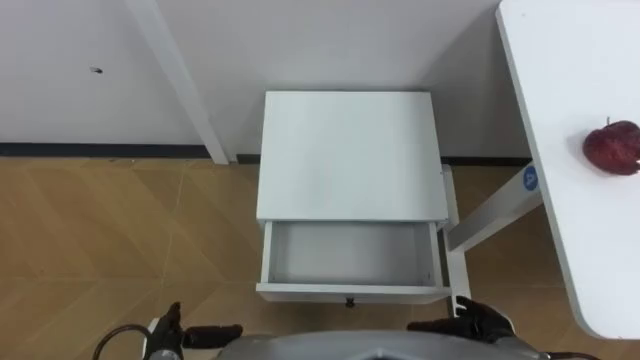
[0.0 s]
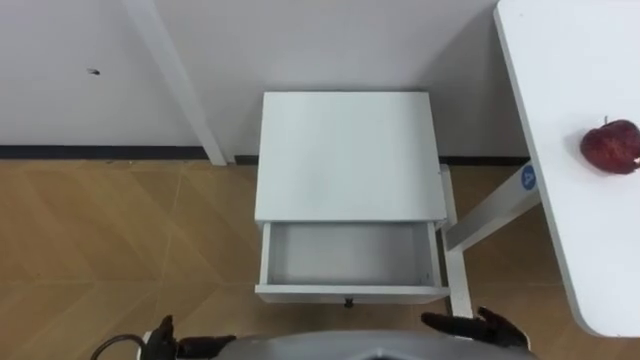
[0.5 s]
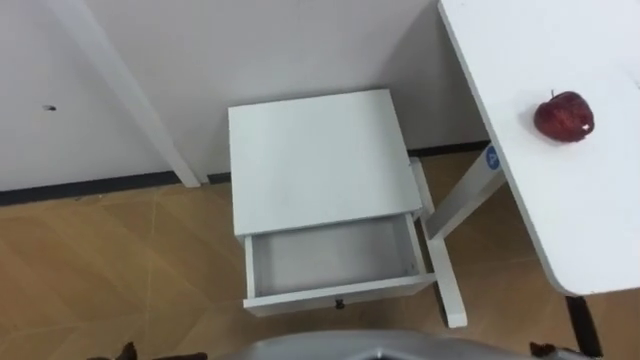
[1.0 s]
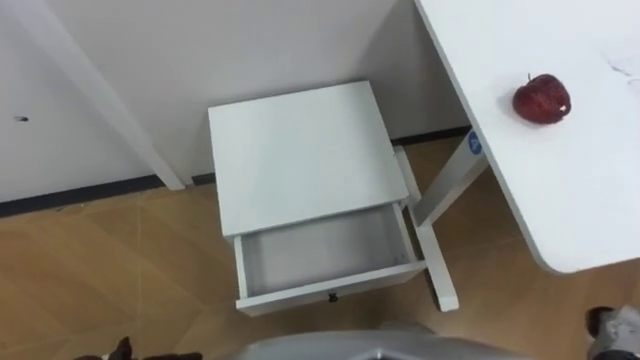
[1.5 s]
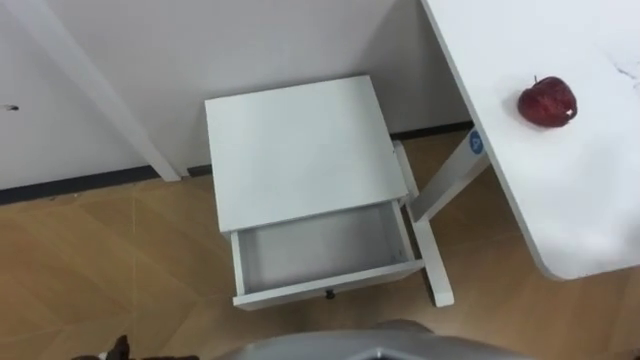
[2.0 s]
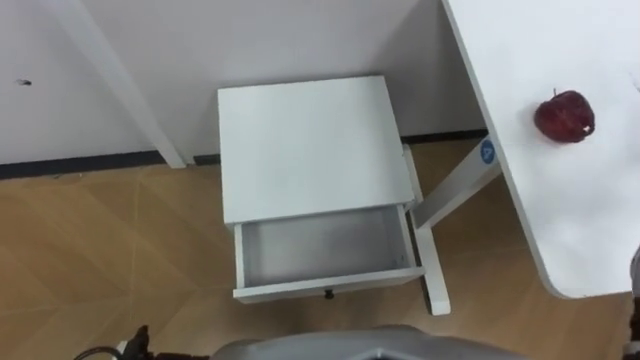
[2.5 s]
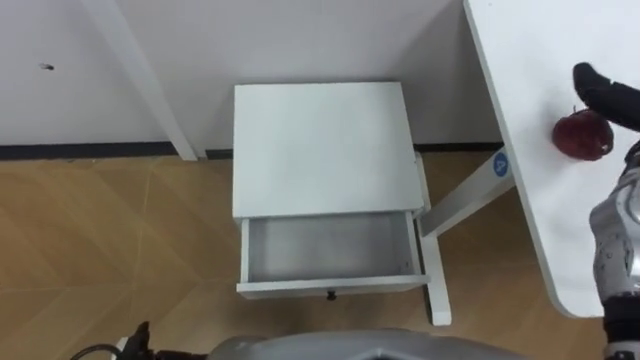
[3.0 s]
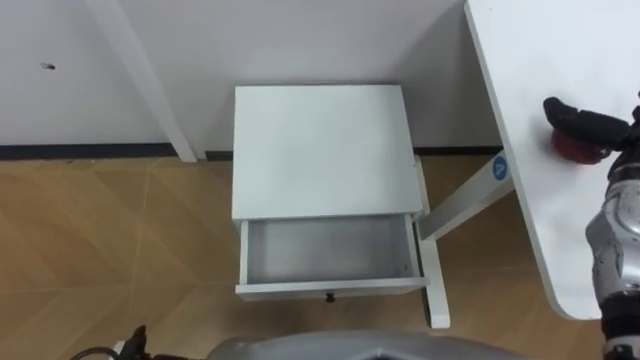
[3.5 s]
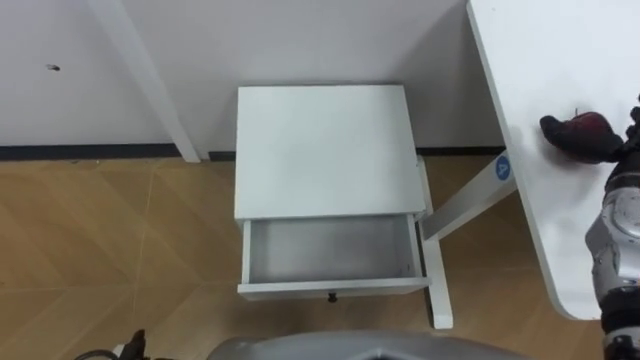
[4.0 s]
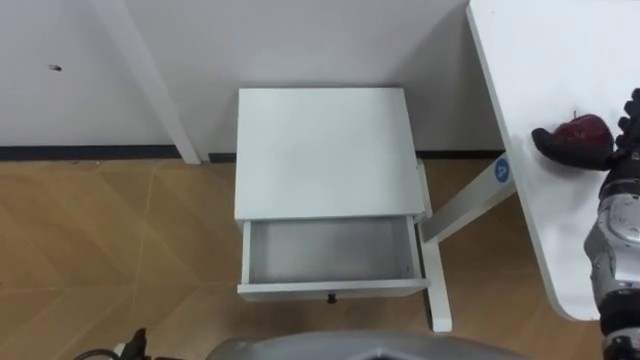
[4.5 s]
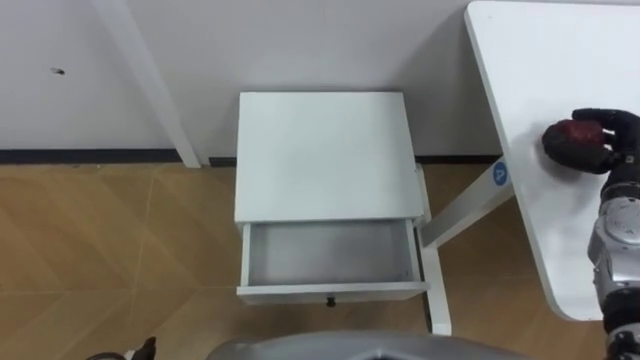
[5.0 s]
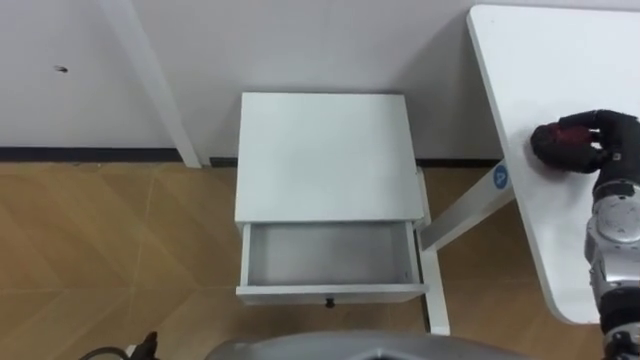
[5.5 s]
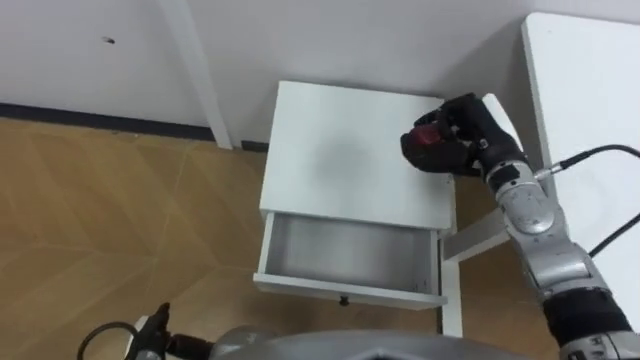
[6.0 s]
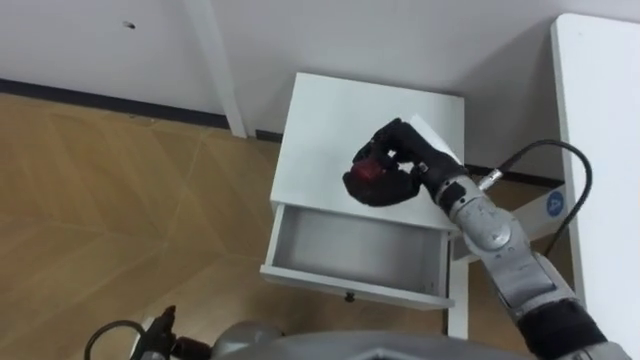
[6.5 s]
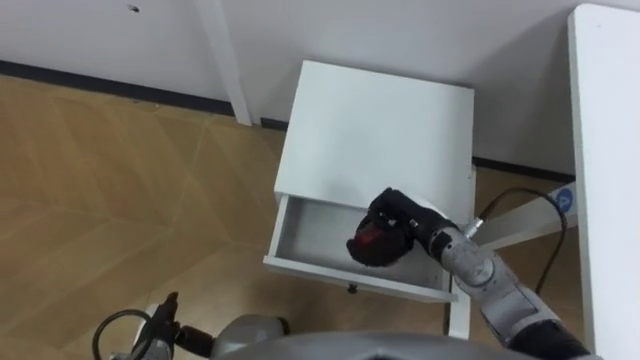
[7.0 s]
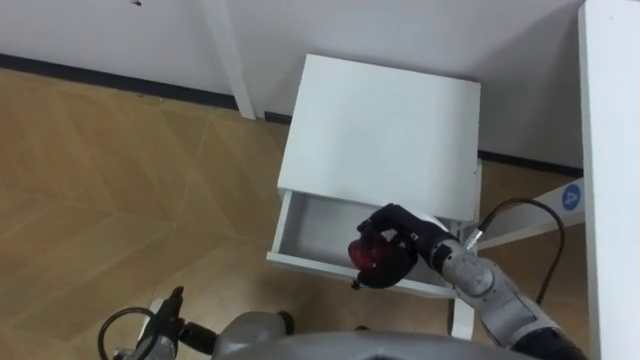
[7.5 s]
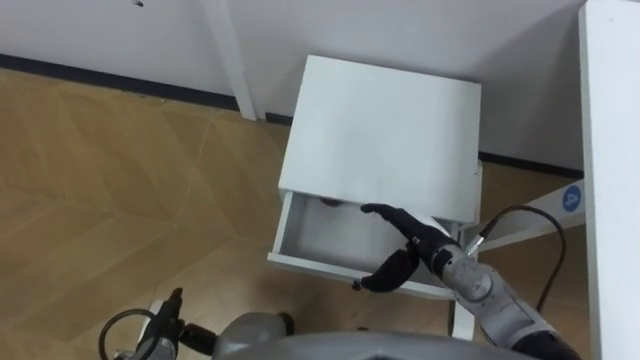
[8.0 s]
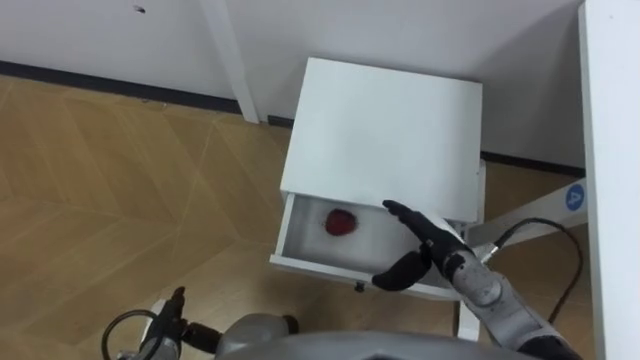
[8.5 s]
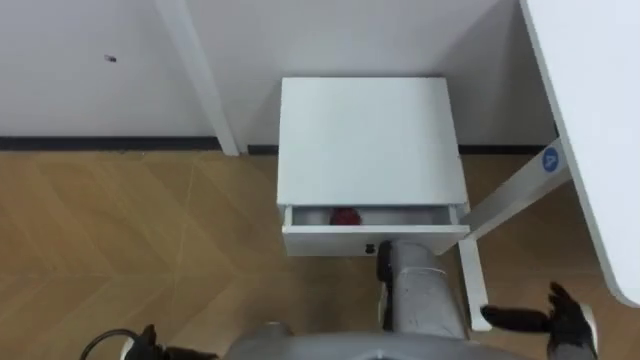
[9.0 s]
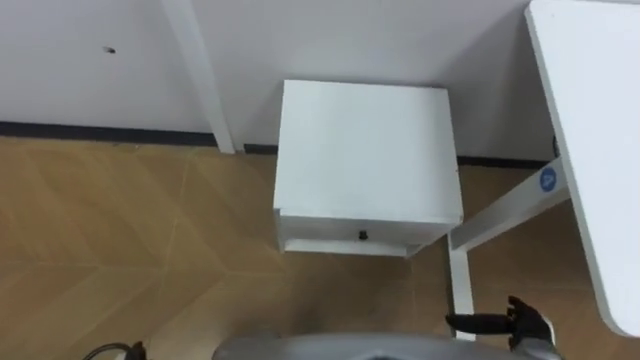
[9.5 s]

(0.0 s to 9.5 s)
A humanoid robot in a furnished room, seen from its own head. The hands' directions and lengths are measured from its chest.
Task of the whole recording: Pick up the apple from the table, put it in the drawer, and close the drawer with leg.
4.0 s - 5.5 s: The right hand closes up.
5.5 s - 7.5 s: The right hand shifts roughly 25 cm to the left.
7.5 s - 9.5 s: The right hand heads to the right, backward and downward, covering about 25 cm, and opens.

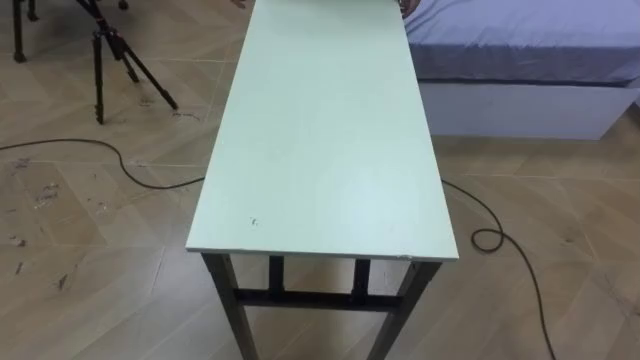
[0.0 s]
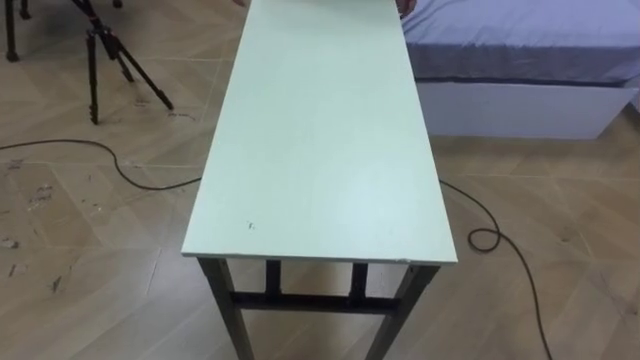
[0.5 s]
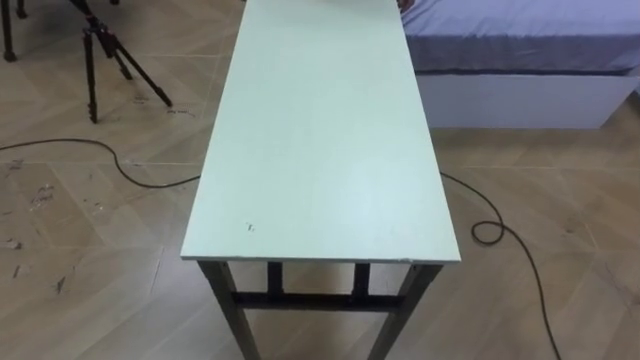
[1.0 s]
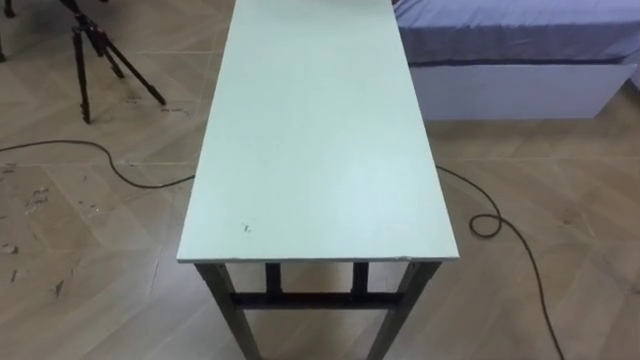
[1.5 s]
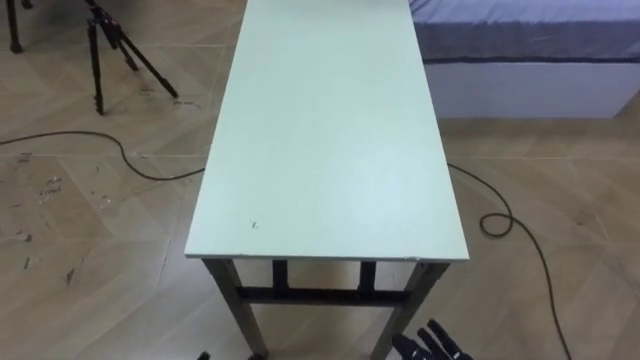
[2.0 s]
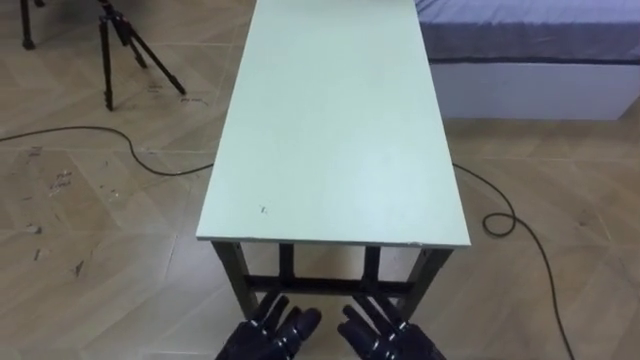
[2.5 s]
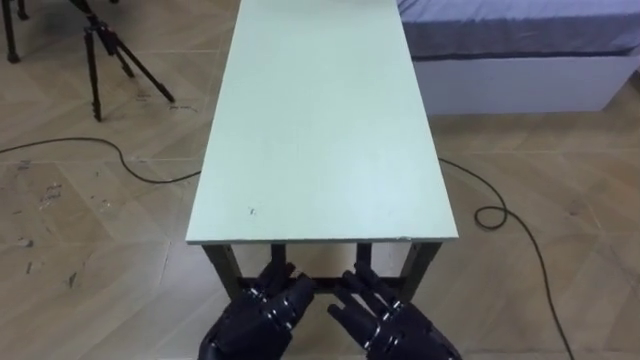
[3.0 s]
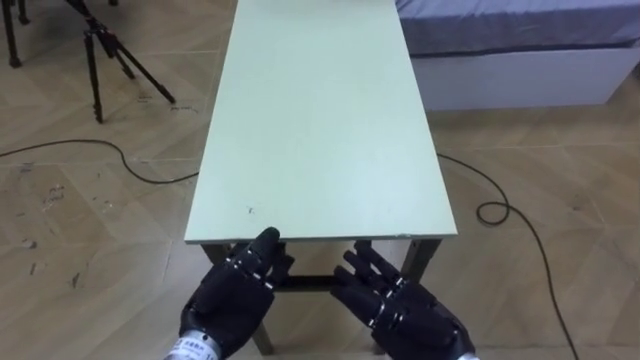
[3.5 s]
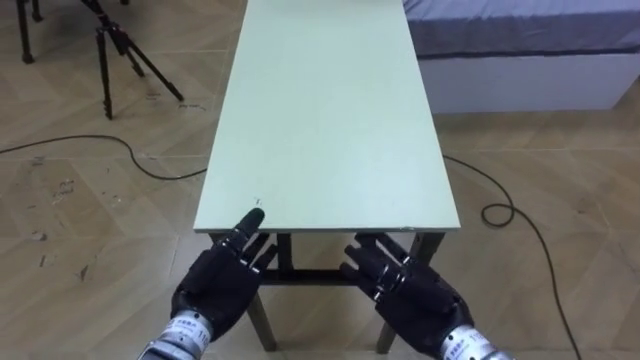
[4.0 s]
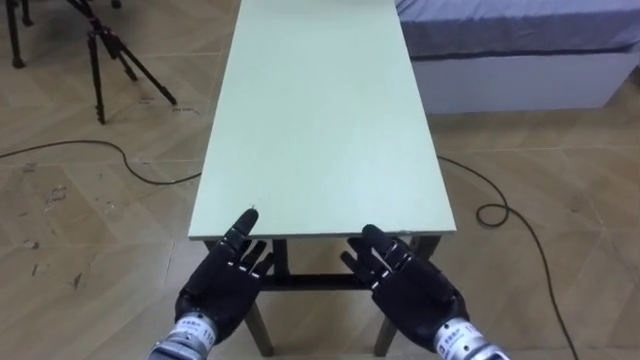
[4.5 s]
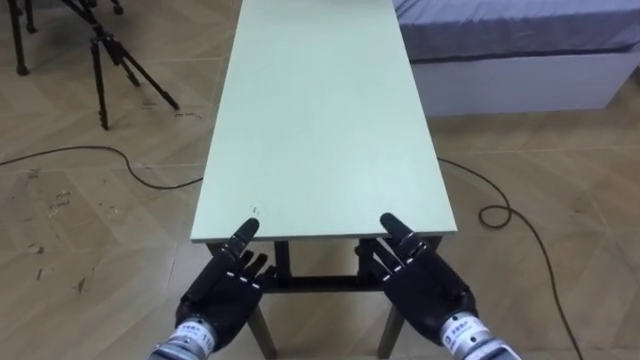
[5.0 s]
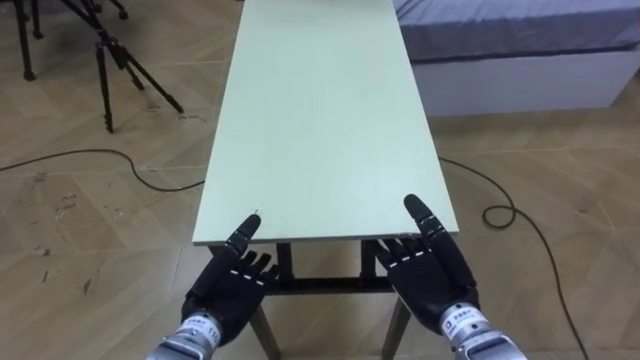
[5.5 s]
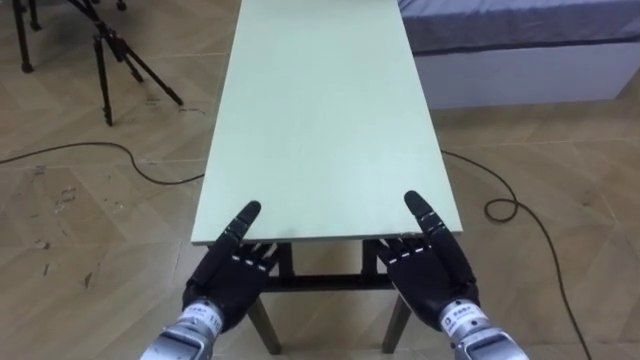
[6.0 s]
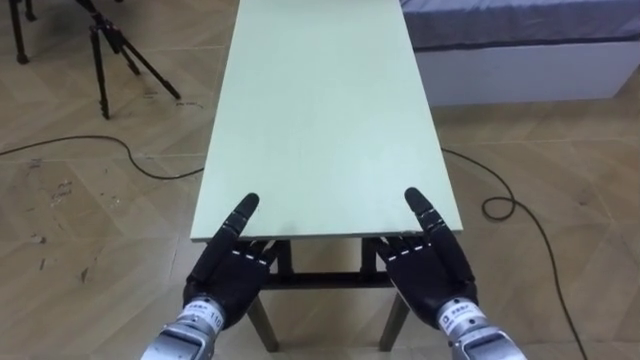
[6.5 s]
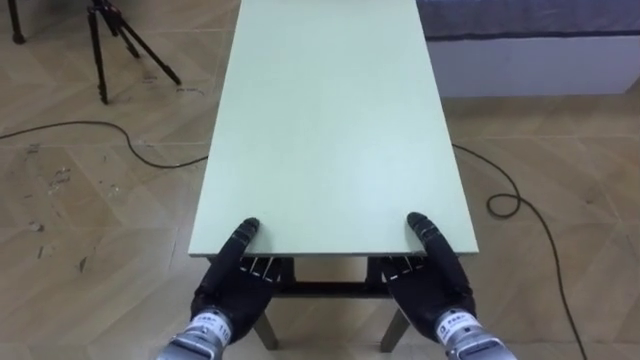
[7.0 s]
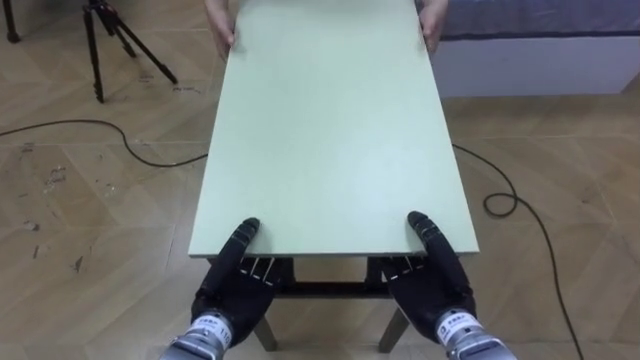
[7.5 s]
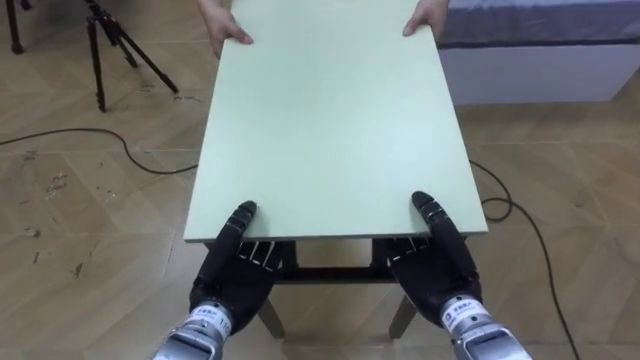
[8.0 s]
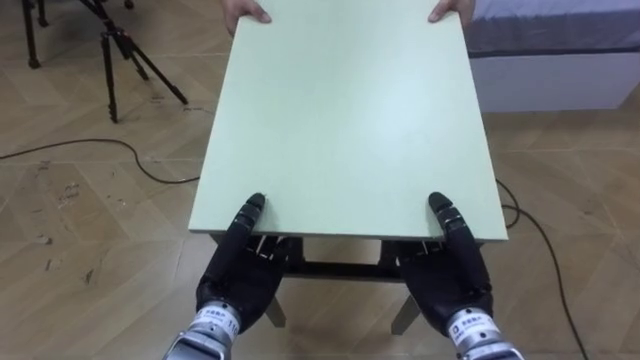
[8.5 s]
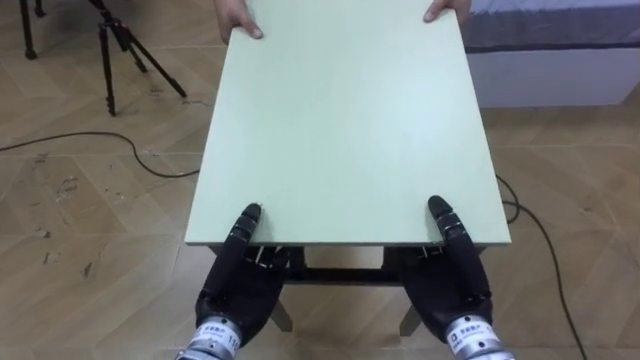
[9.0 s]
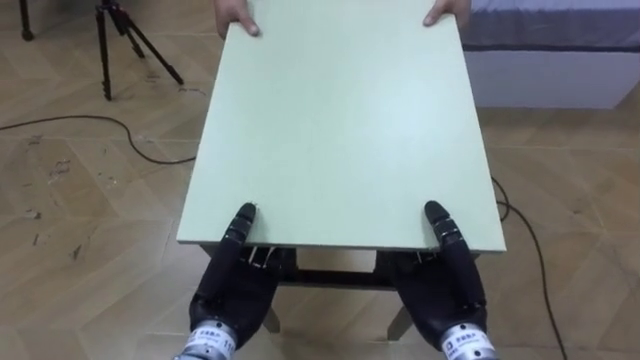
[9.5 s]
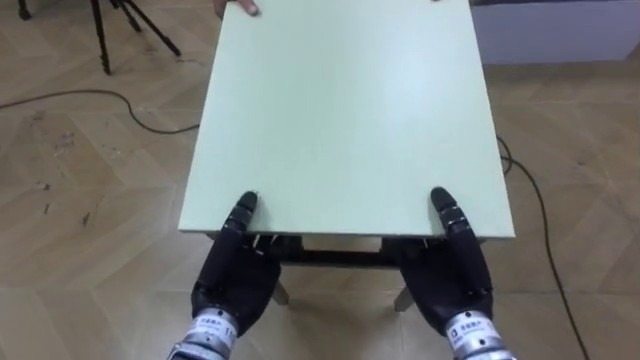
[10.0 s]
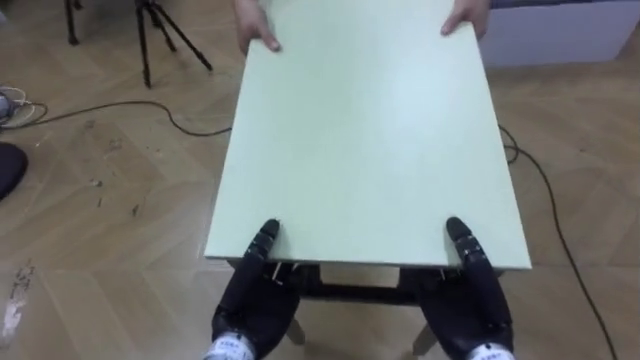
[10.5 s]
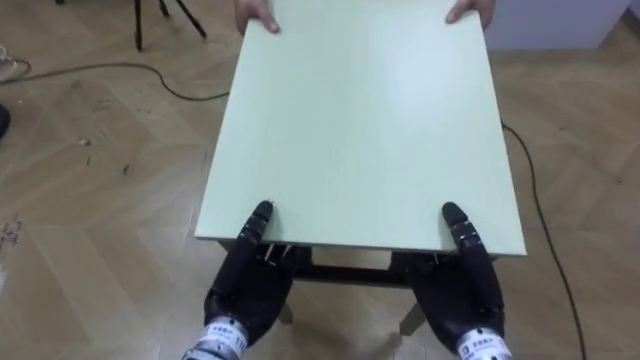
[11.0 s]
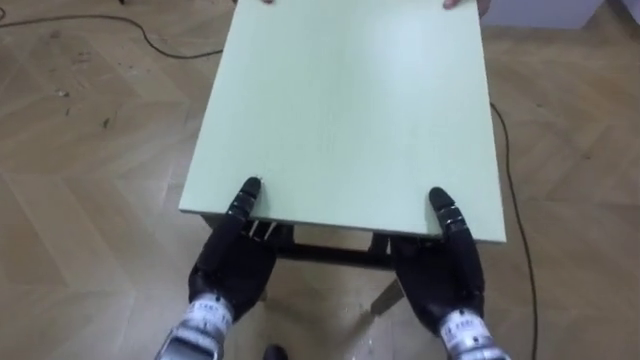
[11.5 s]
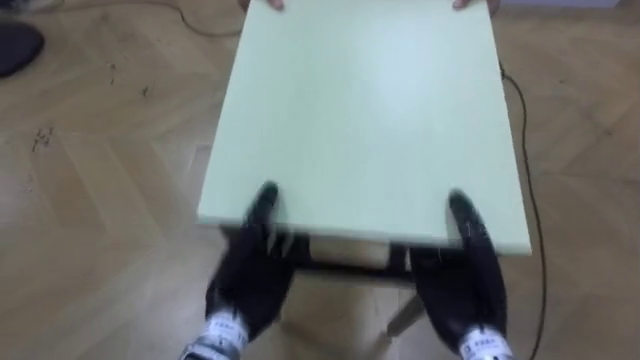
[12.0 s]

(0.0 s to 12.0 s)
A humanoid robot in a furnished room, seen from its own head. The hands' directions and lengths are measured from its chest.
Task of the whole recording: Move the table to the back left with someone.
6.0 s - 8.0 s: The right hand closes up, while the left hand closes its fingers.
